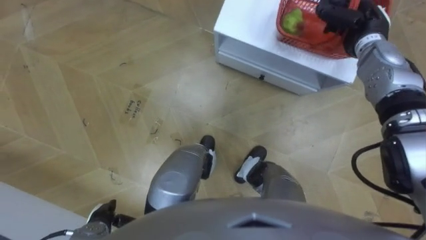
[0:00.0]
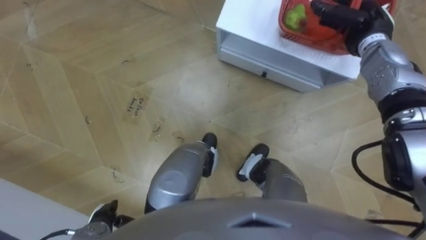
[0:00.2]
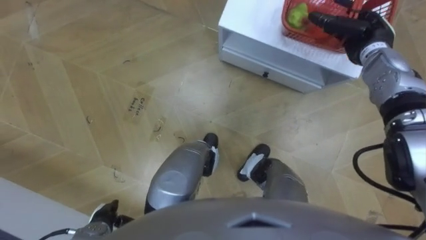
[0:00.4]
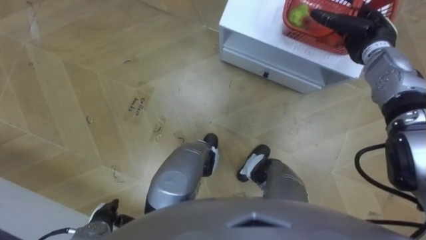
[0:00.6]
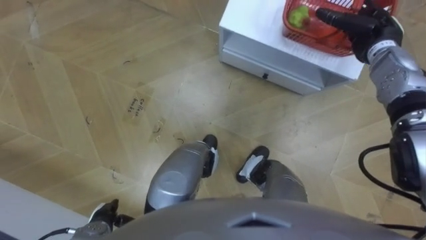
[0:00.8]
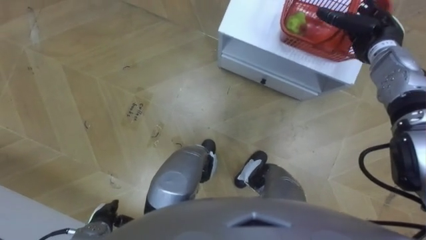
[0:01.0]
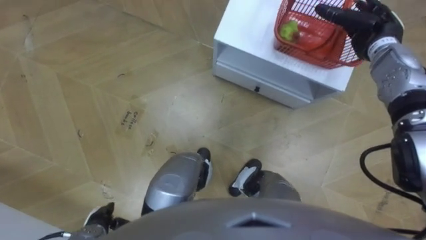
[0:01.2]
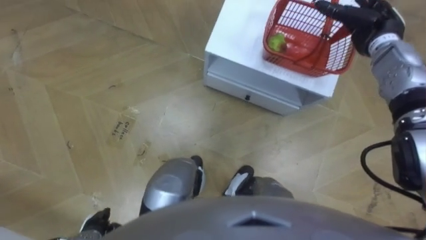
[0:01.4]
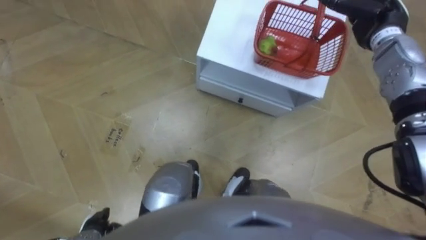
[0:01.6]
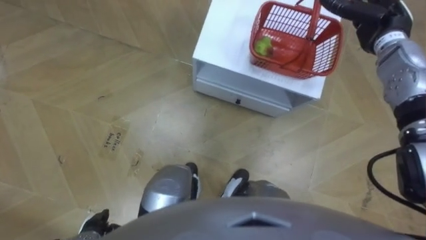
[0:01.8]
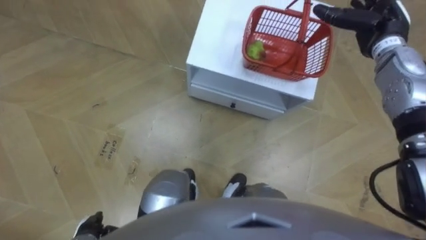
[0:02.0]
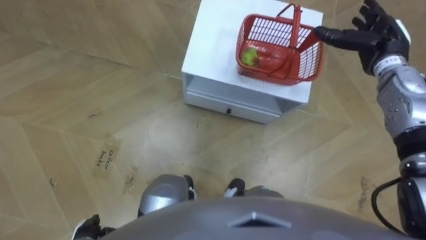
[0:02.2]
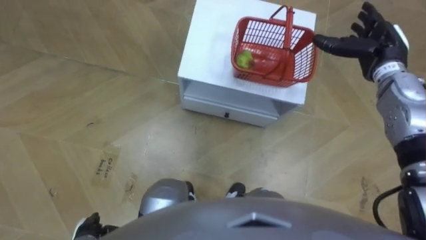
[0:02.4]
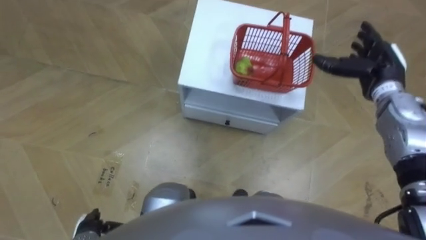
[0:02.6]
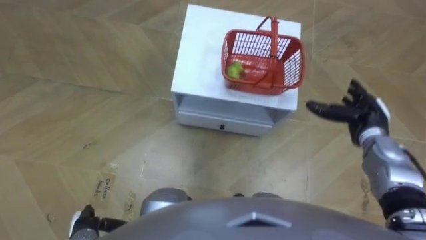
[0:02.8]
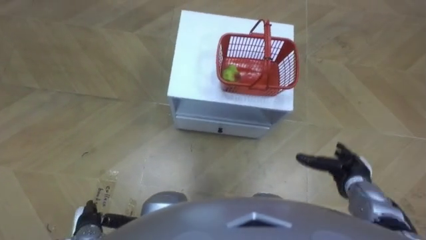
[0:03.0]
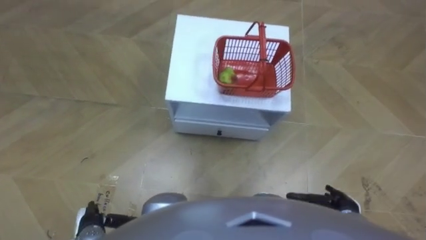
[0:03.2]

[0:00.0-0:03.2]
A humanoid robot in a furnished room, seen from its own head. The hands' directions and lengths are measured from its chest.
Task of the whole recording: Pick up the fruit basket from the floor and place it on the cabinet.
0:00.0 to 0:01.6: The right hand opens.
0:01.6 to 0:03.2: The right hand is displaced backward and downward by roughly 40 cm.

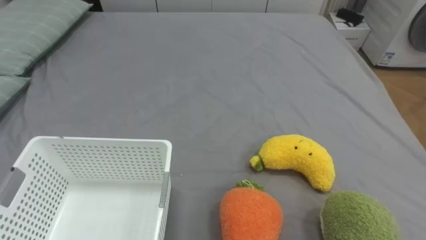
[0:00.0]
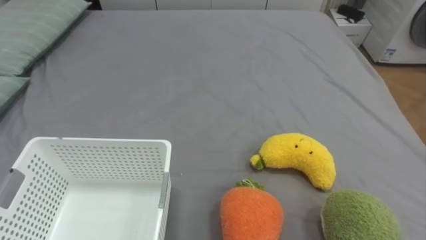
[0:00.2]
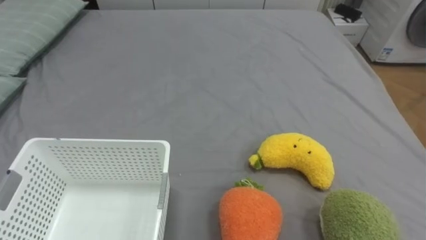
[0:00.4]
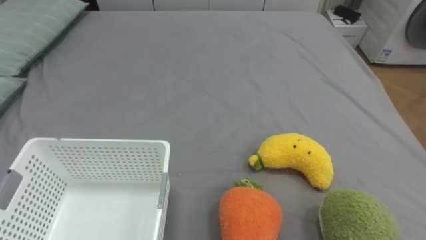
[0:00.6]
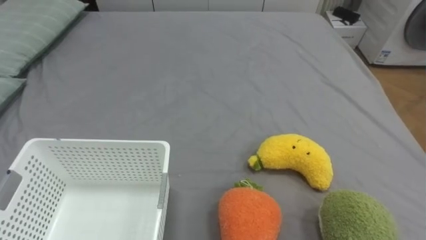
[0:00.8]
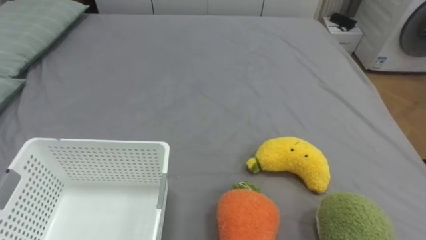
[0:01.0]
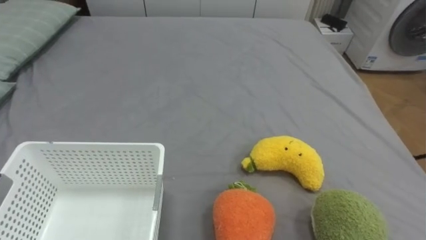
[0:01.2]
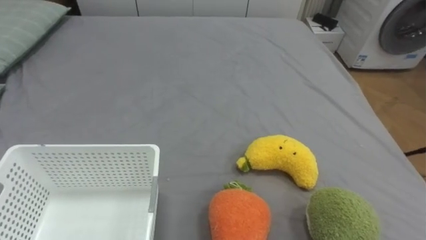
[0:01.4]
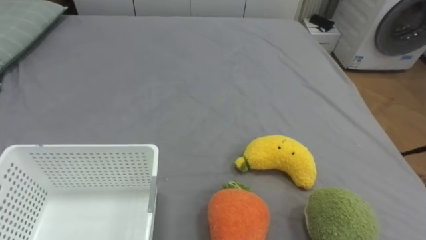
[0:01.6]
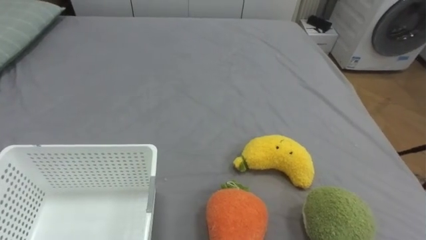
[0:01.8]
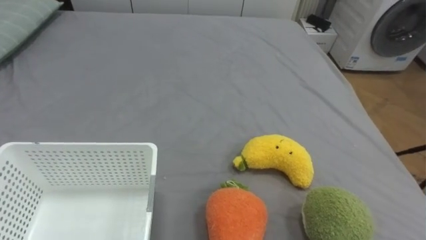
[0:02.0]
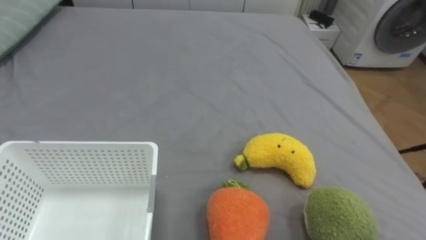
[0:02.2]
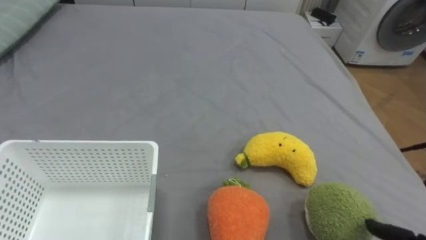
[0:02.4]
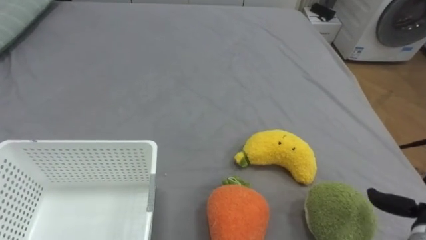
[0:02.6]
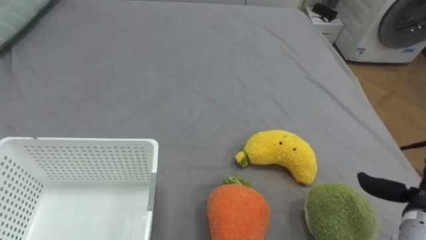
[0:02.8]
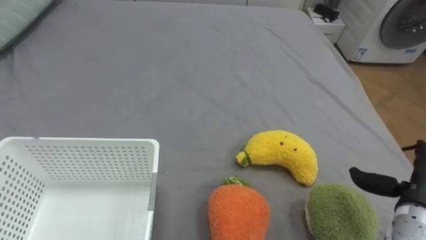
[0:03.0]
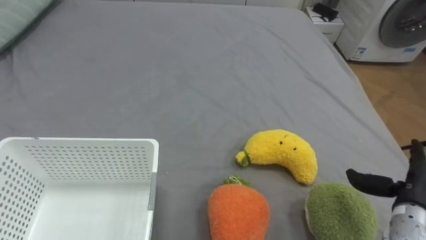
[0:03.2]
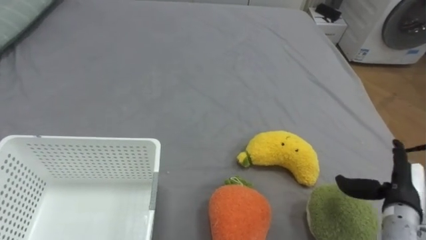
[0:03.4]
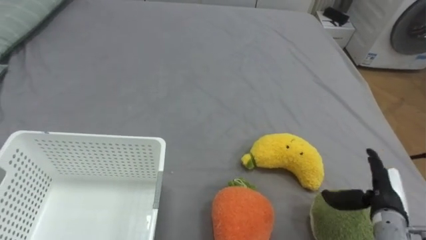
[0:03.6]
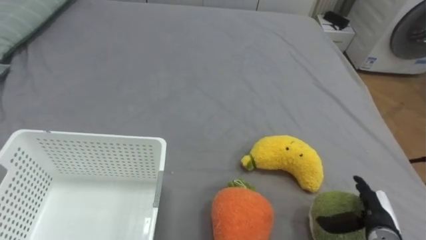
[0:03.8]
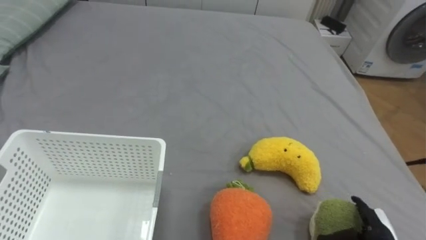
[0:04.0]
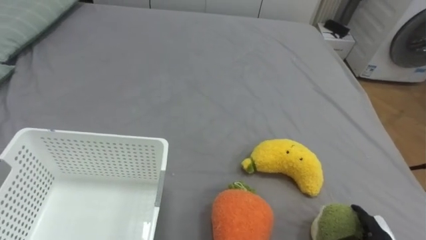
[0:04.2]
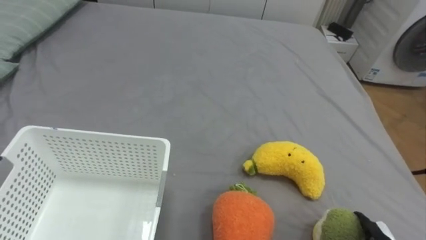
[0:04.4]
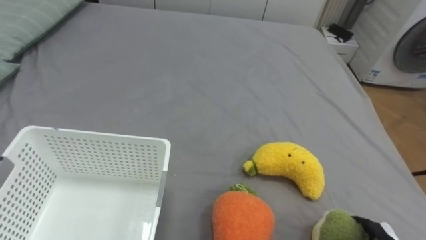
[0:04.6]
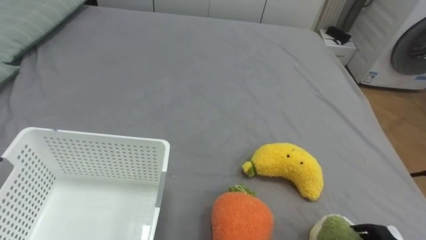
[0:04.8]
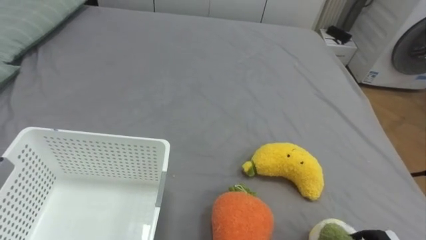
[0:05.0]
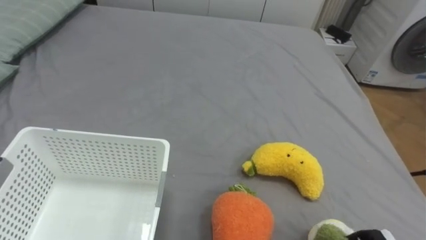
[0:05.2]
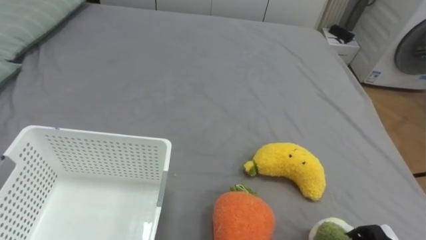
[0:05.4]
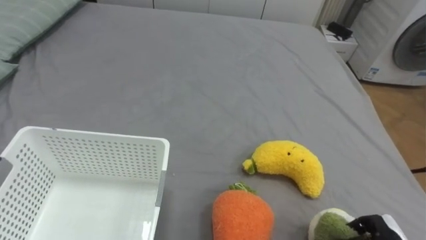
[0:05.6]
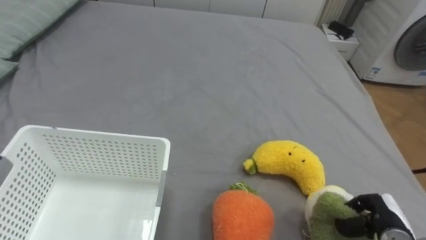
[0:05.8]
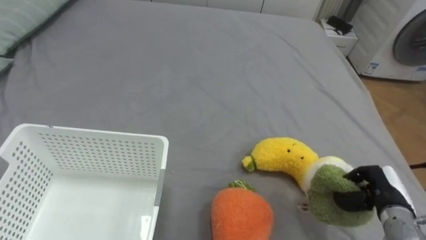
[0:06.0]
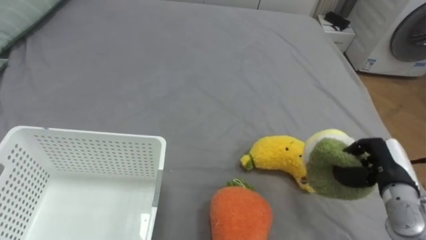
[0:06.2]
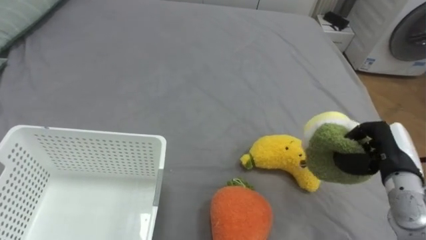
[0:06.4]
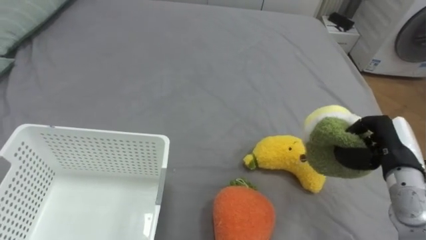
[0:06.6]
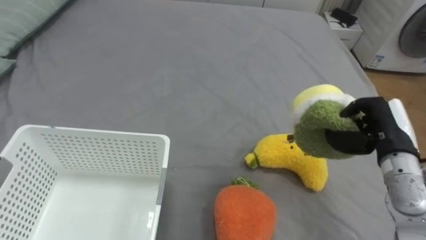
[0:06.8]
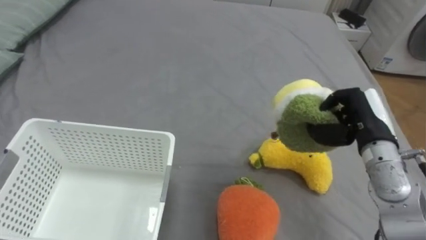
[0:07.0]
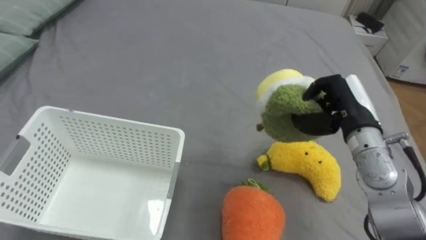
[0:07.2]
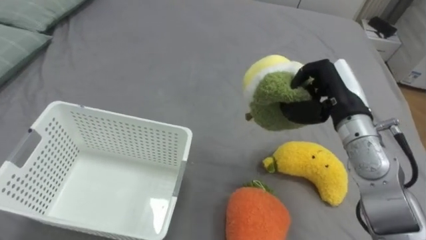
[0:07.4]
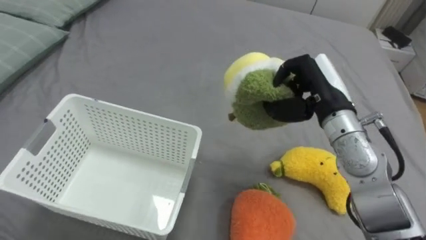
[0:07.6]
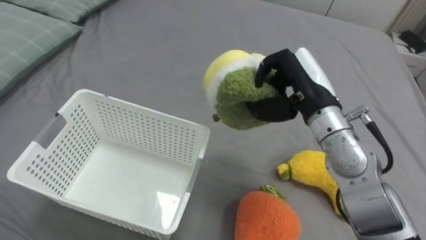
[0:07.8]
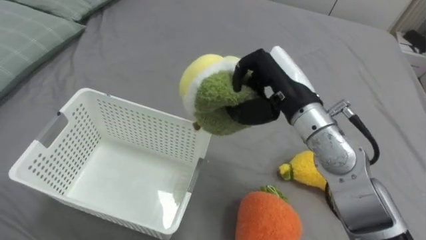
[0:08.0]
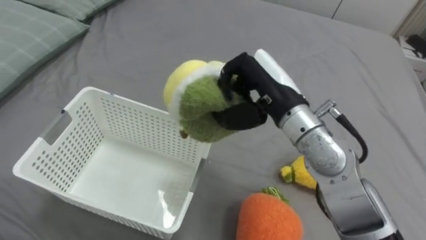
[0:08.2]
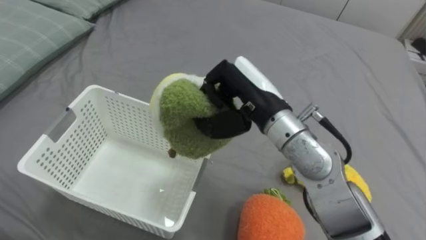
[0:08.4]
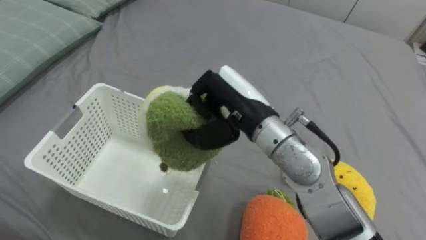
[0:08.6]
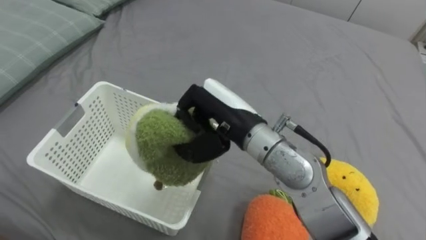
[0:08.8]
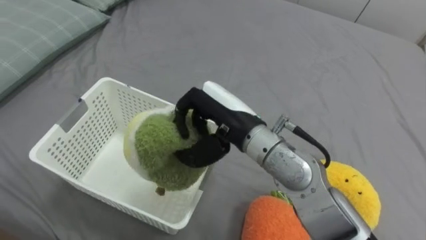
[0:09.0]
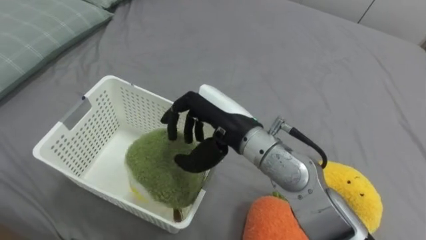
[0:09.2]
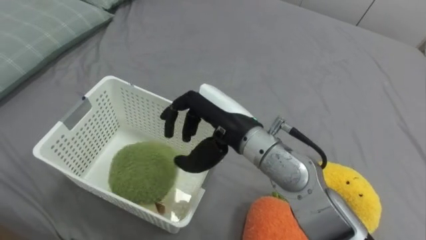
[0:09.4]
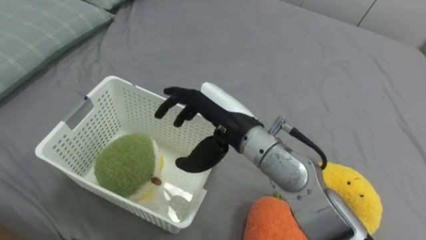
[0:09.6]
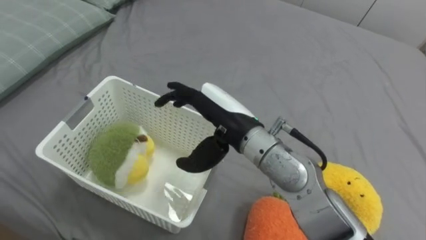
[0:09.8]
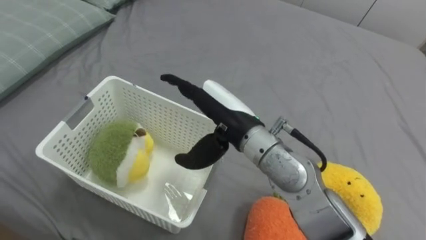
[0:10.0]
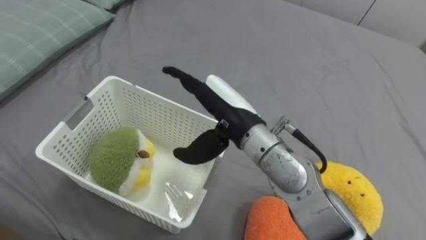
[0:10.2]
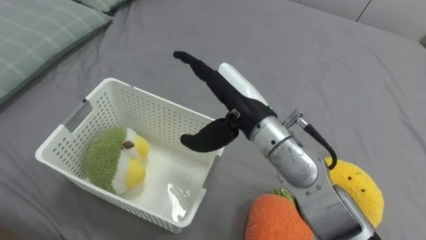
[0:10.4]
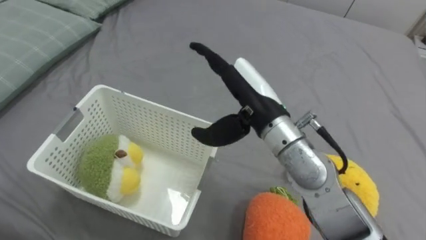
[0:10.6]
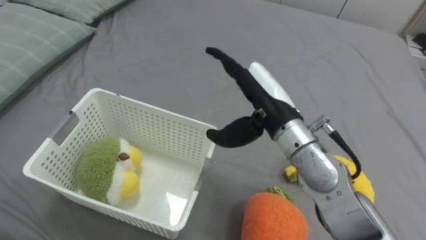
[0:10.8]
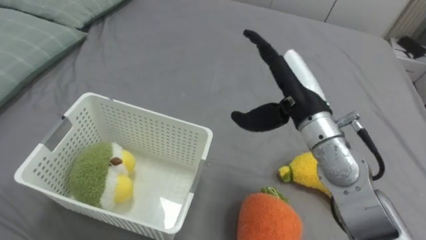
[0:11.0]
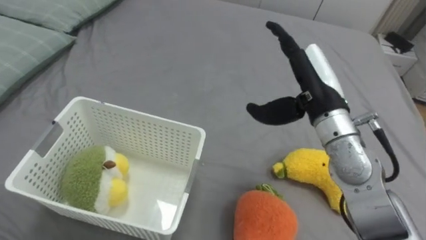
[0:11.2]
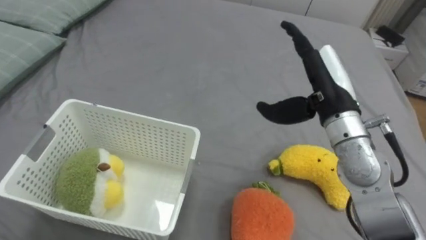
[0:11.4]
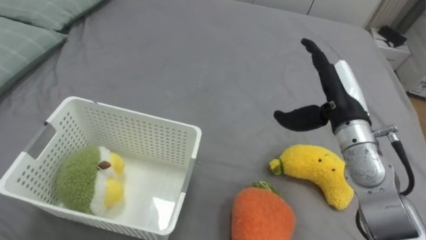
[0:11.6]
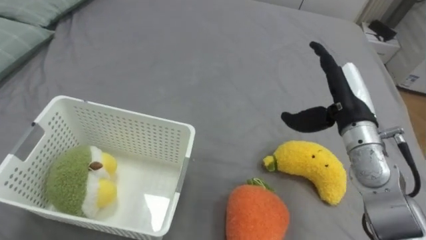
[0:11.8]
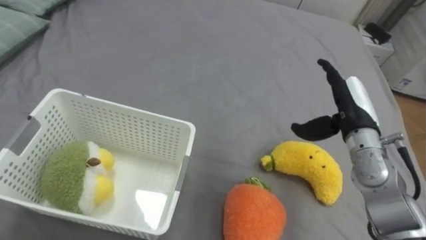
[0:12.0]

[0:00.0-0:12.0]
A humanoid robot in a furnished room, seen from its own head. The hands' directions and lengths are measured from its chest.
Task of the whole recording: Put the toys on the bed into the basket on the left.
0:06.0 to 0:07.6: The right hand shifts about 25 cm upward, to the left and forward.
0:07.6 to 0:09.0: The right hand goes approximately 15 cm to the left.
0:09.0 to 0:10.4: The right hand opens.
0:10.4 to 0:12.0: The right hand shifts about 20 cm to the right.

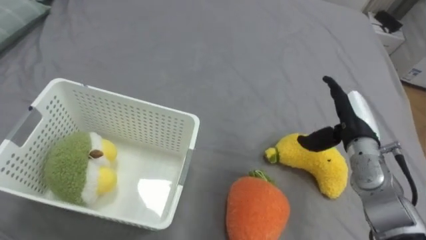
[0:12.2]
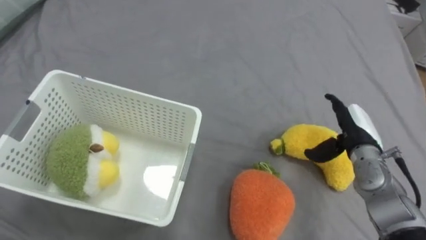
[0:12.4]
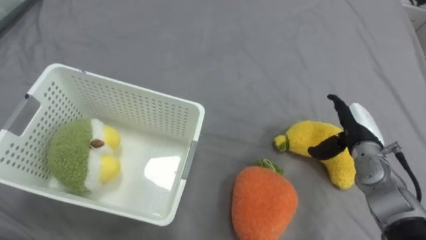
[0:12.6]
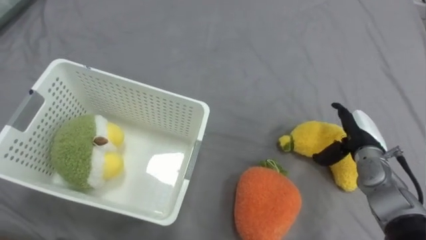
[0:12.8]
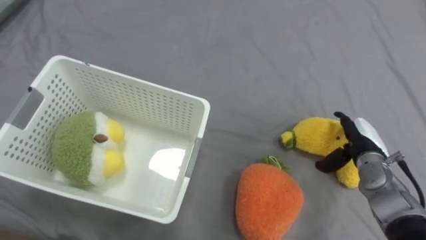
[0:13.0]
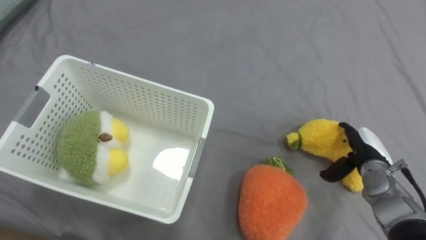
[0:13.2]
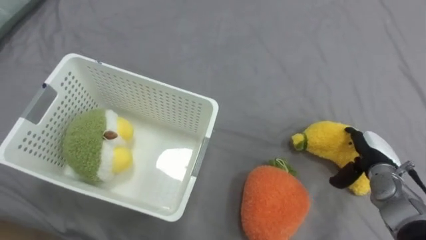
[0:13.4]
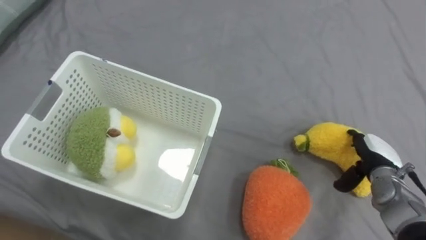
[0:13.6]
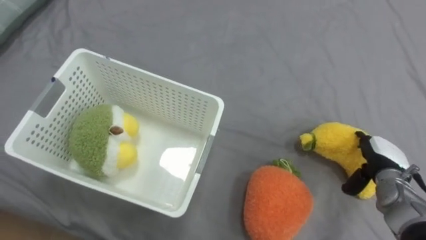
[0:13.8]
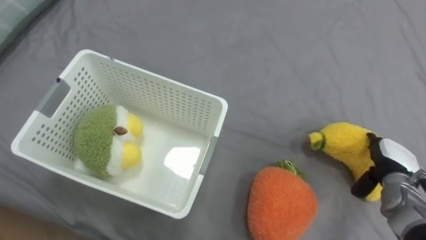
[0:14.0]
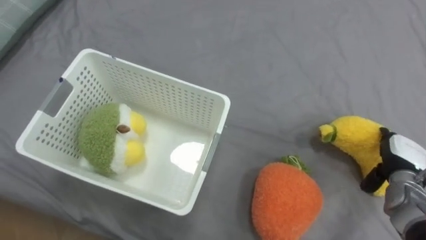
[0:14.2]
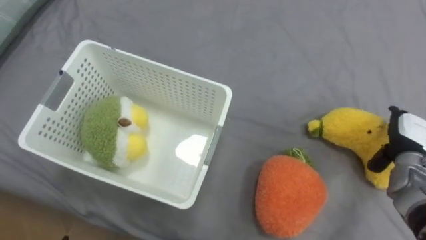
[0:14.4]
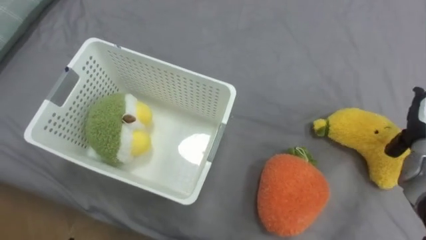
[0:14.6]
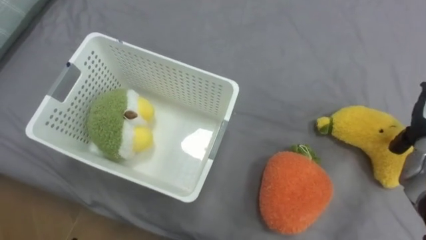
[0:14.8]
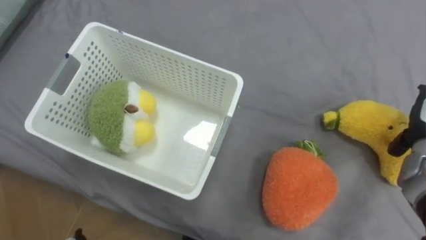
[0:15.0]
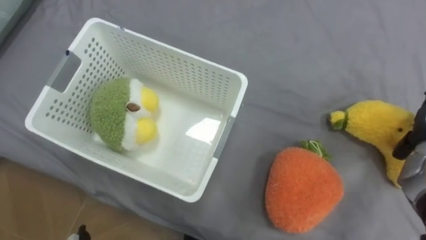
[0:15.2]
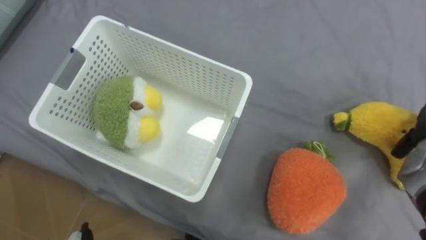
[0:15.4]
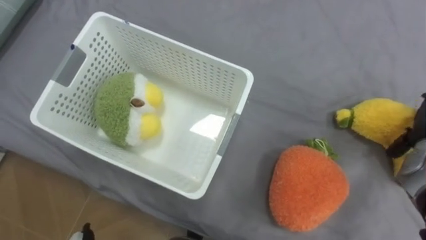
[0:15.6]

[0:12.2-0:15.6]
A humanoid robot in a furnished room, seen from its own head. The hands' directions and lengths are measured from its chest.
Task of the whole recording: Put the toys on the bed into the basket on the left.
0:12.2 to 0:13.8: The right hand shifts roughly 10 cm downward and to the right.
